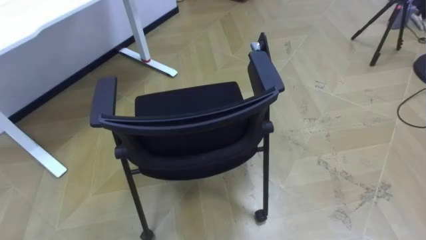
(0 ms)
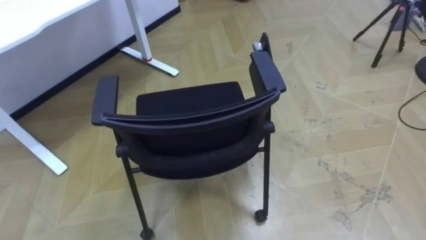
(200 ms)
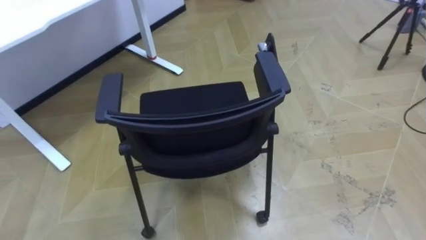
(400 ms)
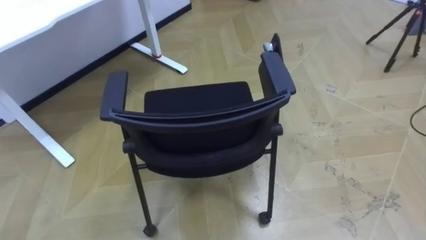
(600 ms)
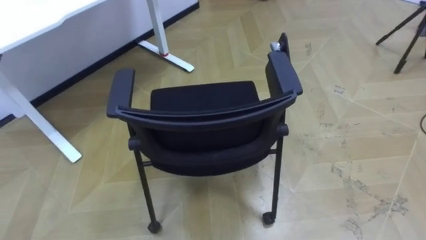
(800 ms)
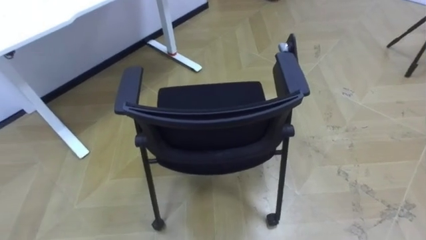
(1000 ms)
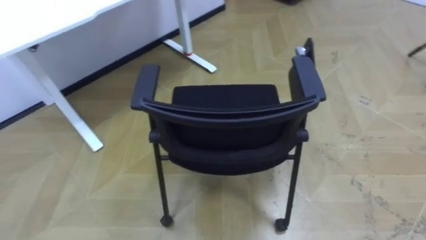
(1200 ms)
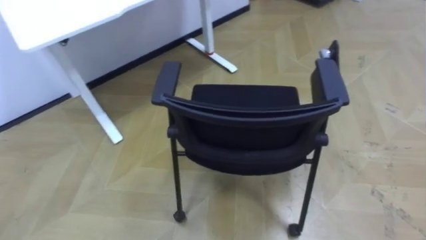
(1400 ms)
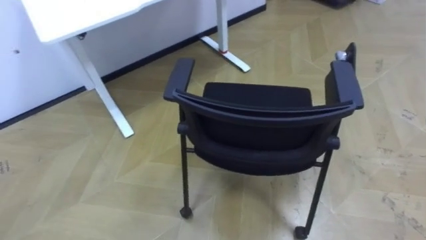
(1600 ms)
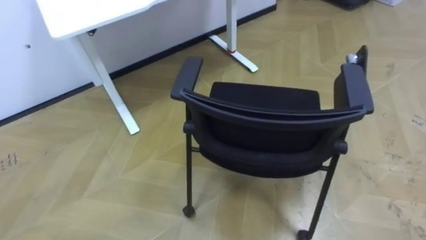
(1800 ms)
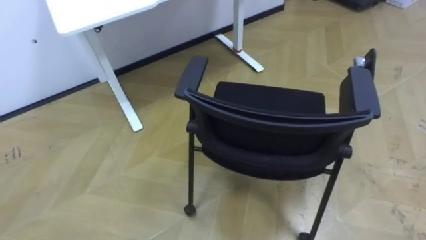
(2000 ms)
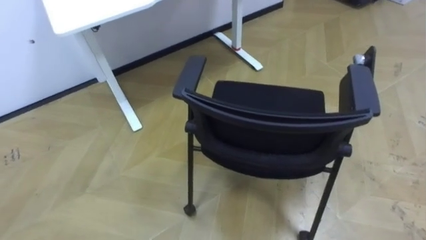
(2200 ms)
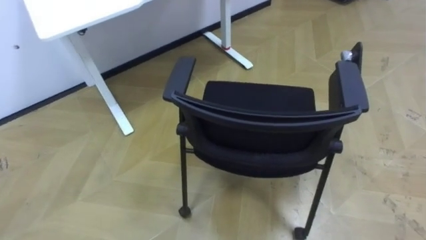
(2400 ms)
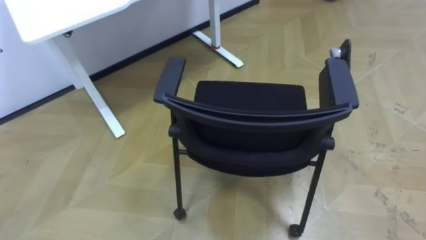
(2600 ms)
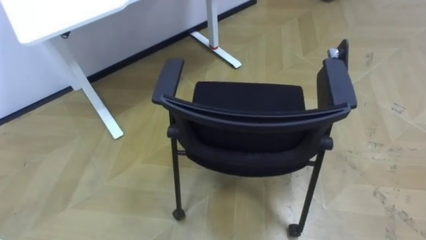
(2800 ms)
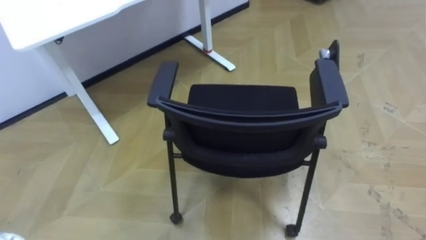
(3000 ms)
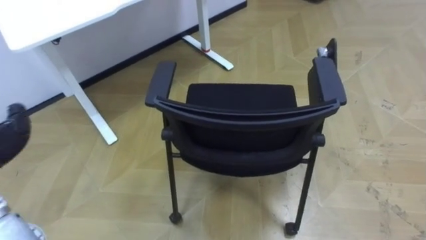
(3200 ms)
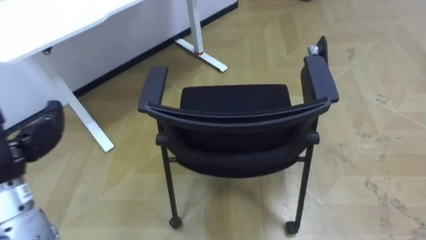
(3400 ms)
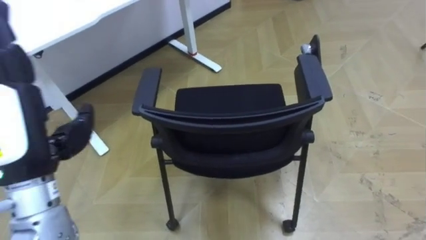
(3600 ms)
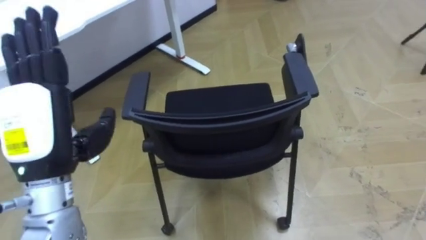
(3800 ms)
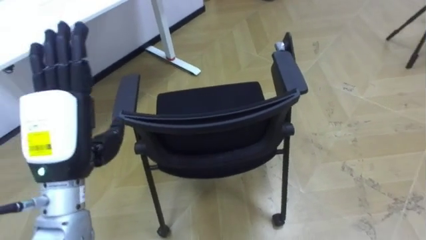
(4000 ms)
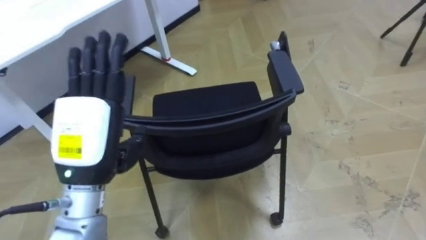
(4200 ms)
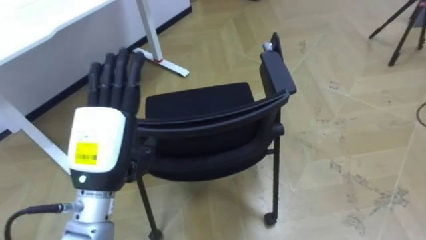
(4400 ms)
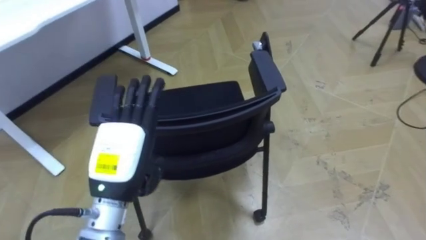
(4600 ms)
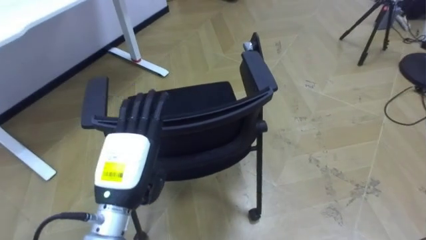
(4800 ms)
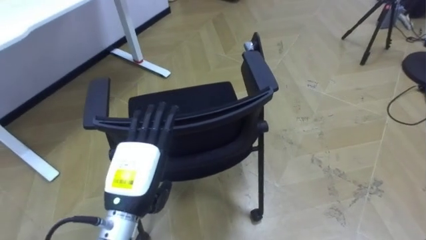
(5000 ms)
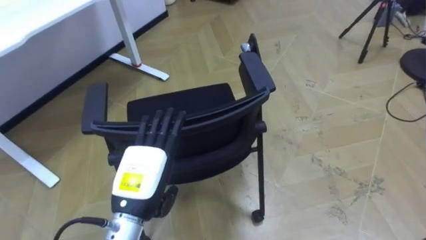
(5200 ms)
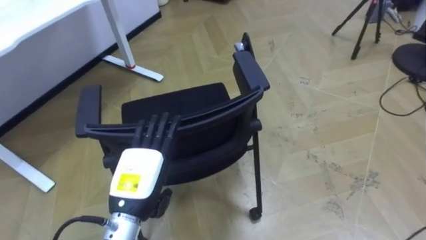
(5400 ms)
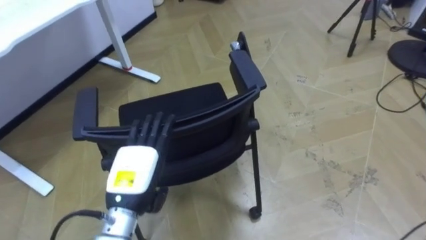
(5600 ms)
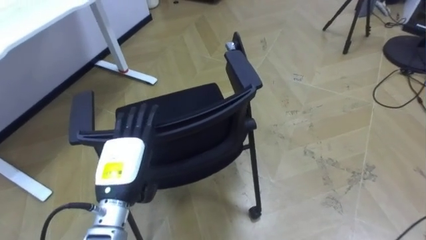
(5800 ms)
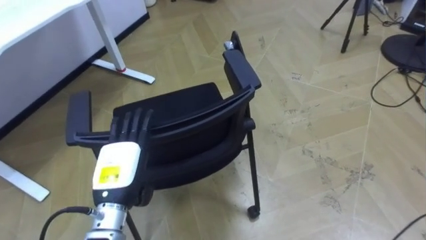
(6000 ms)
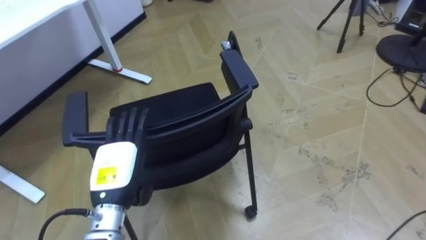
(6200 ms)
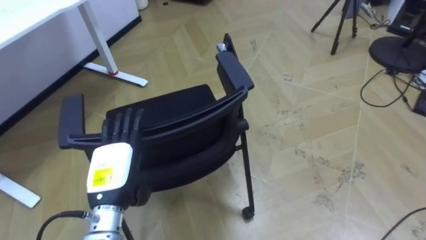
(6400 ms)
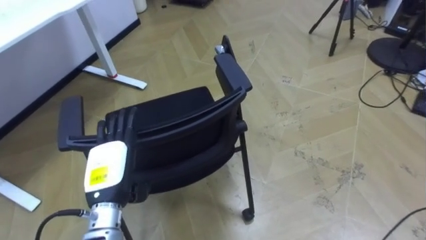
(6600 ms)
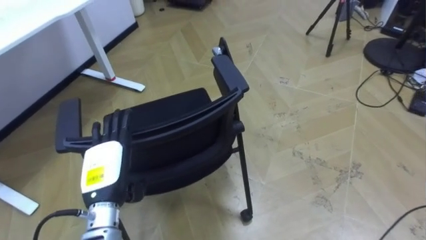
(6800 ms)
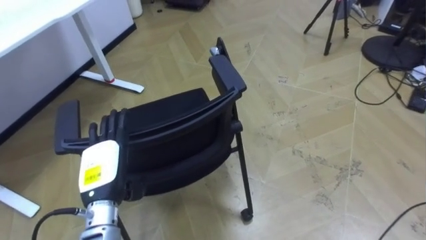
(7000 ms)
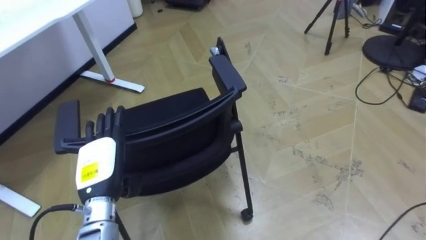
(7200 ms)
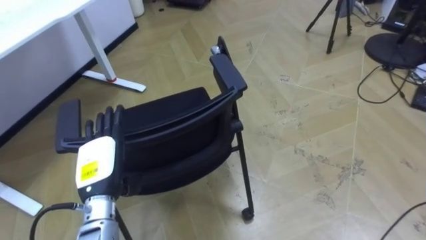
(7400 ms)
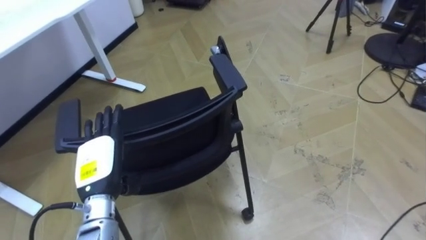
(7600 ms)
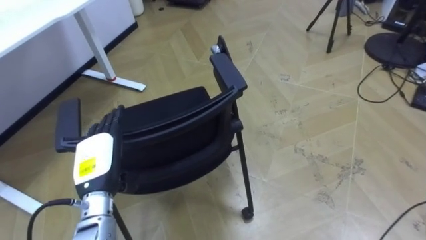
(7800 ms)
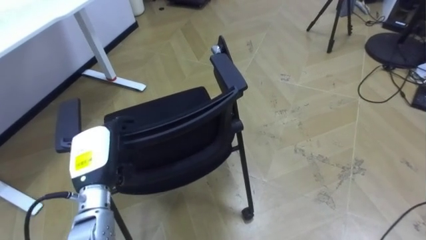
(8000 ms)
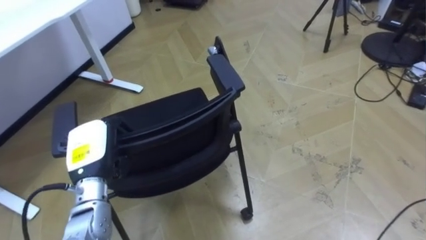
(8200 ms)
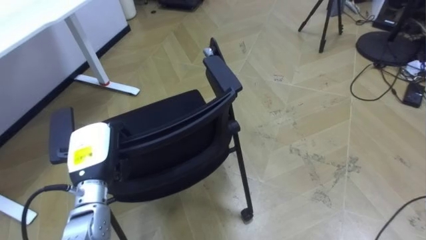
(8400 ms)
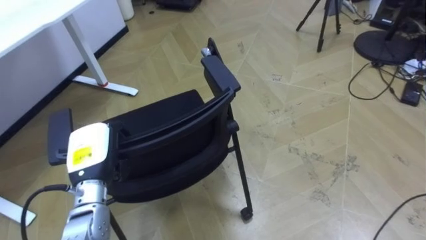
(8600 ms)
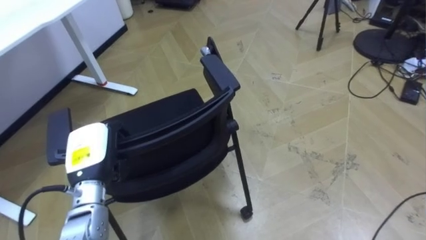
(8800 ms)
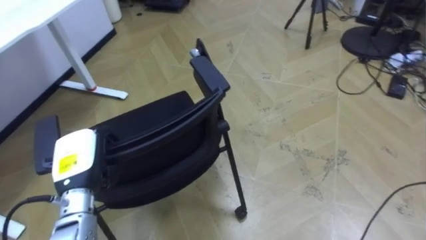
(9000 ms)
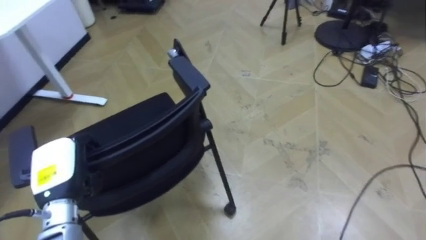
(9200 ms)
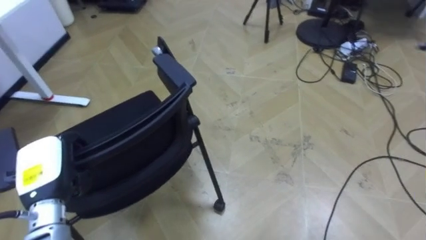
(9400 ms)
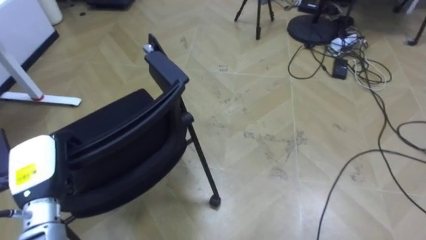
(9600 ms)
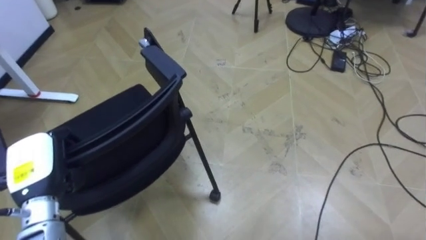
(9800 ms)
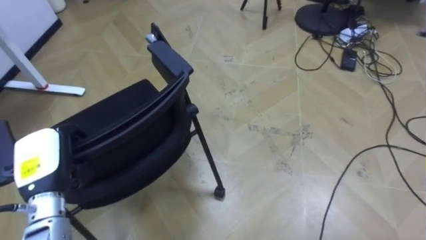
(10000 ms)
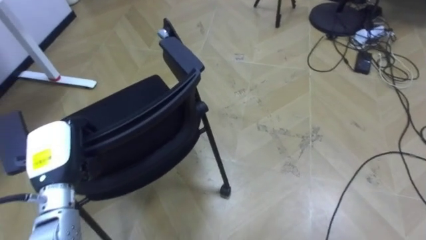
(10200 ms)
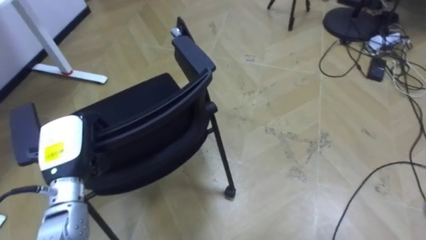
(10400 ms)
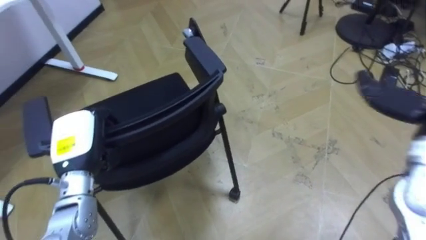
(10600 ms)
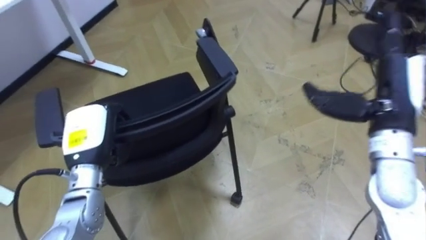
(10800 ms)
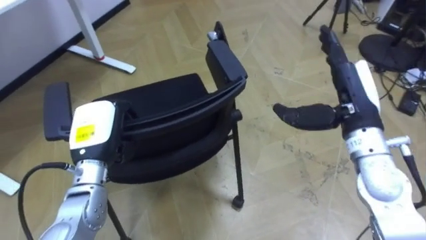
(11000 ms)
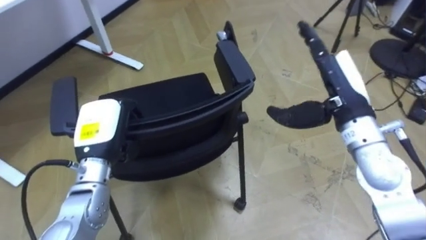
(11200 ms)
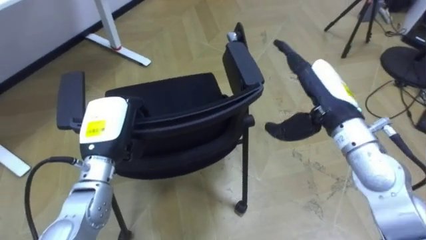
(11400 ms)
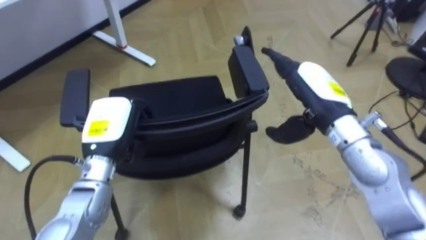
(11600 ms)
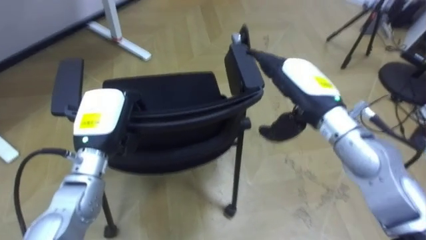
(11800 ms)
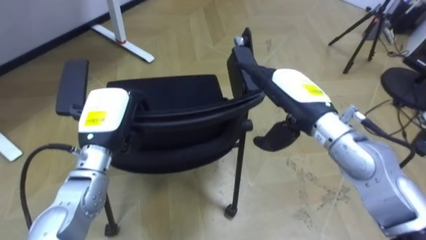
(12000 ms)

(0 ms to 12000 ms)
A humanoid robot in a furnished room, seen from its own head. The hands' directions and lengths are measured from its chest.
Task of the whole recording: Push the chair under the table.
4400 ms - 6000 ms: The left hand travels downward by roughly 10 cm.
7600 ms - 9000 ms: The left hand closes.
10400 ms - 12000 ms: The left hand shifts about 5 cm to the right.

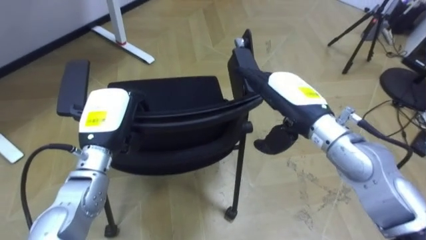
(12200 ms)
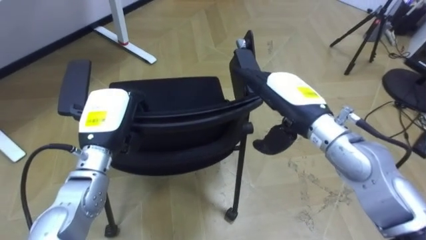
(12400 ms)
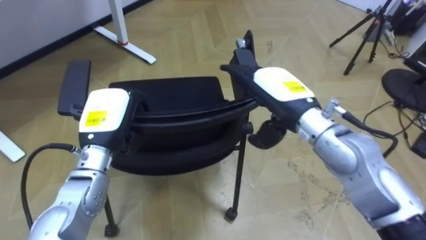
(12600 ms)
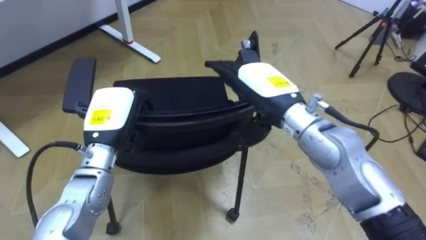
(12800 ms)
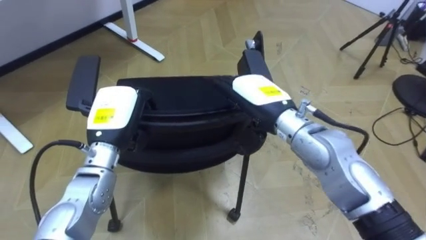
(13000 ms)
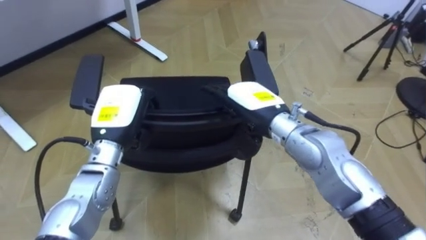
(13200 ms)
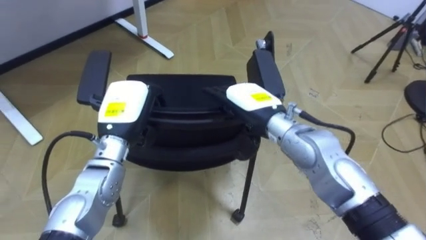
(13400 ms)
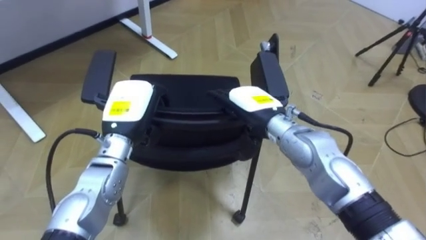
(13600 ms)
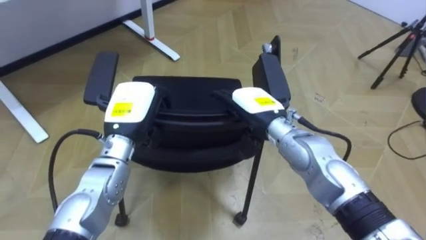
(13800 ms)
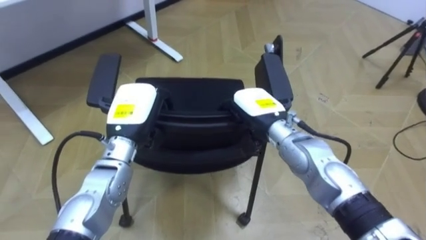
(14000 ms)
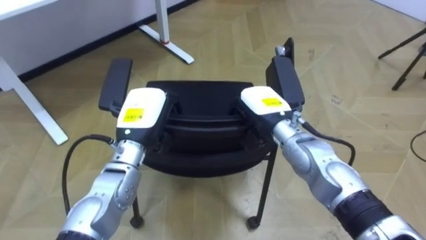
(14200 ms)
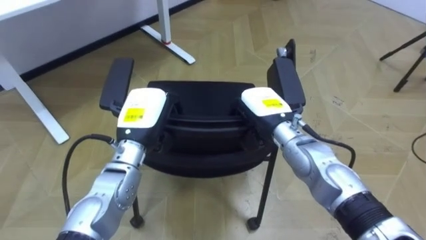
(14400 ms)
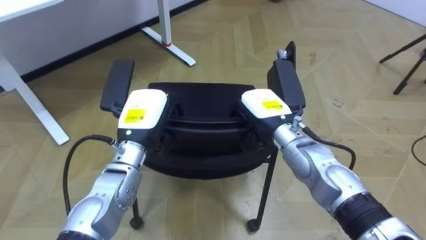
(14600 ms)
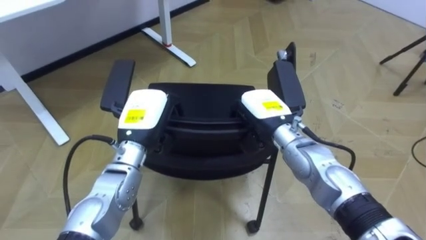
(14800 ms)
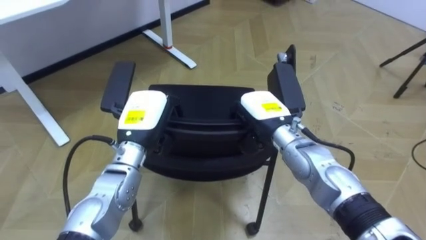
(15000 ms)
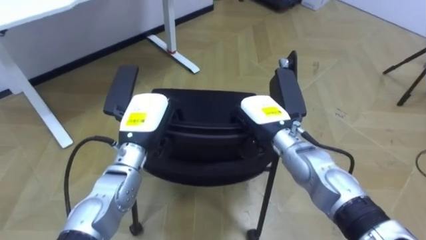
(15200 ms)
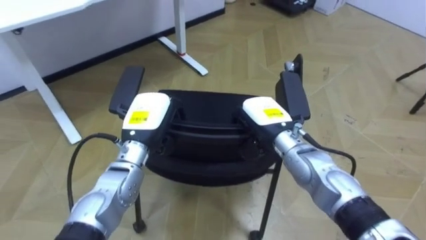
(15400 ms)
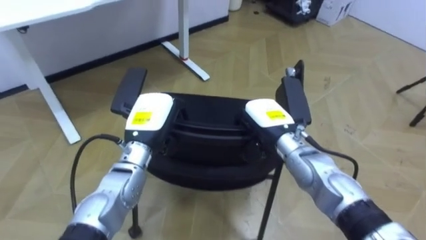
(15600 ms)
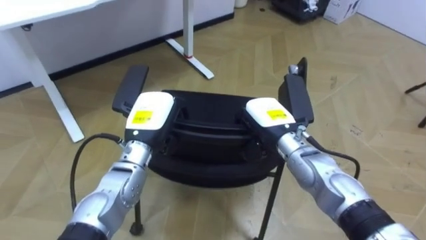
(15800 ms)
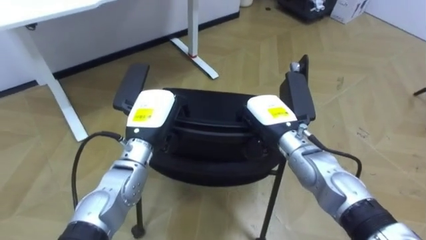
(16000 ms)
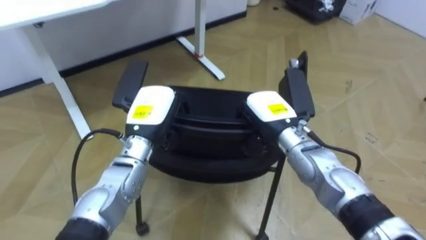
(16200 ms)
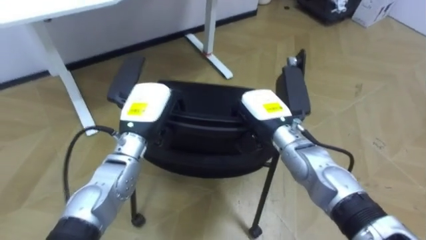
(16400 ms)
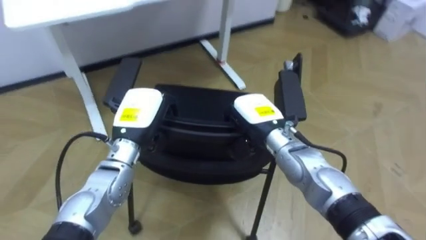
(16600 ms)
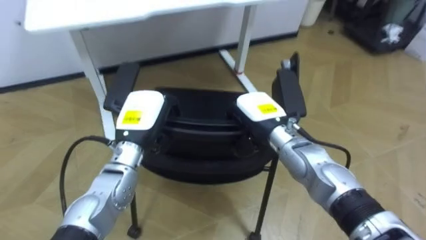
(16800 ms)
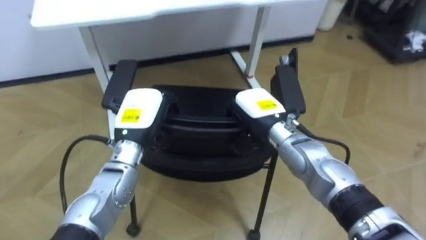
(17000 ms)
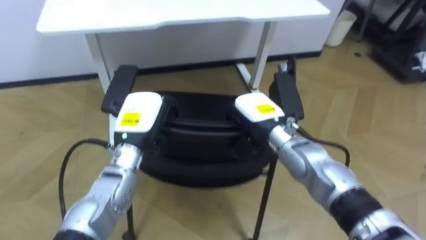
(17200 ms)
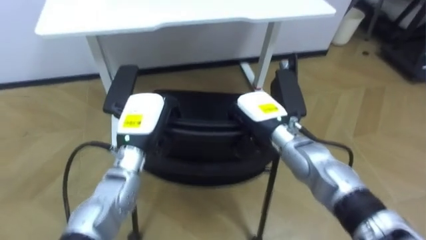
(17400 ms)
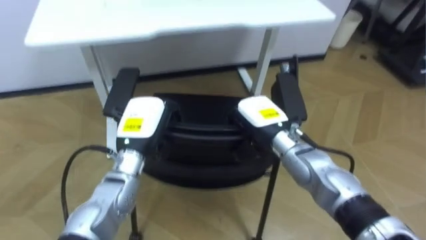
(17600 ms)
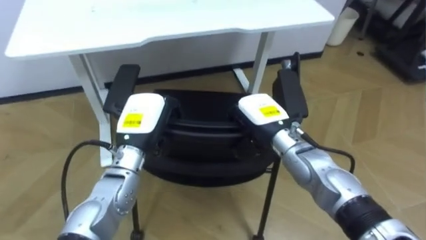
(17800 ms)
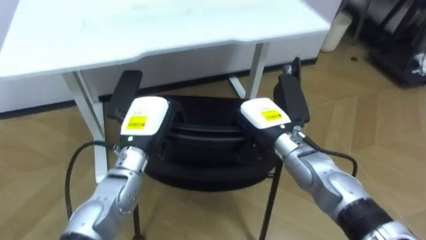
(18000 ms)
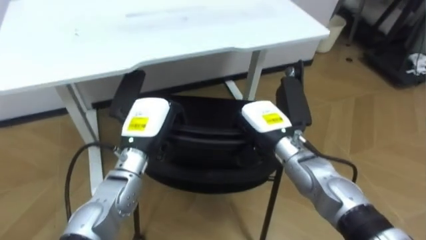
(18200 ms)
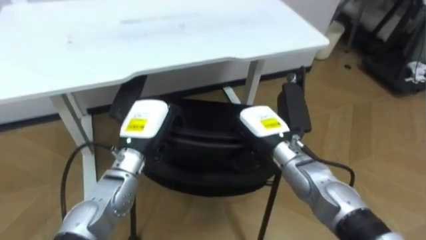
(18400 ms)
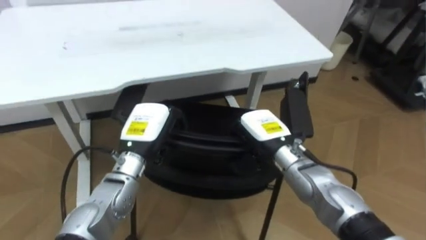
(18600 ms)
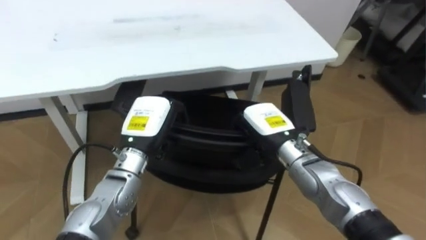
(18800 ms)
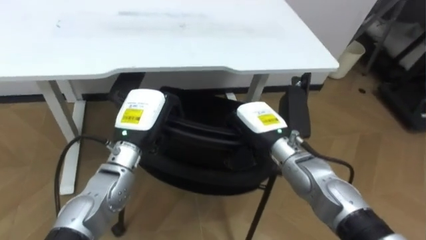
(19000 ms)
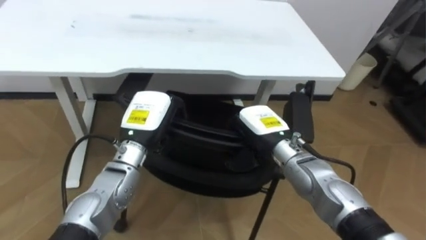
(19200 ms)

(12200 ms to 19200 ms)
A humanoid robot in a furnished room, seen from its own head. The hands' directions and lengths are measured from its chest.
Task of the whole recording: Push the chair under the table.
12200 ms - 13600 ms: The right hand moves to the left and downward, some 10 cm.
13600 ms - 15000 ms: The right hand closes up.
16400 ms - 17800 ms: The robot faces about 20 degrees further to its left.
